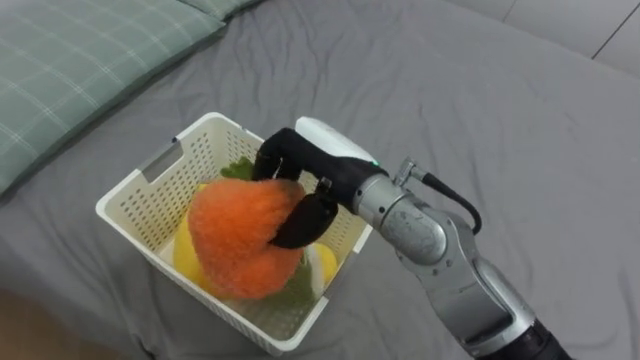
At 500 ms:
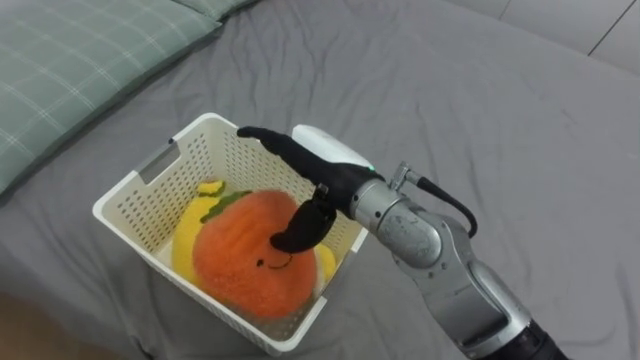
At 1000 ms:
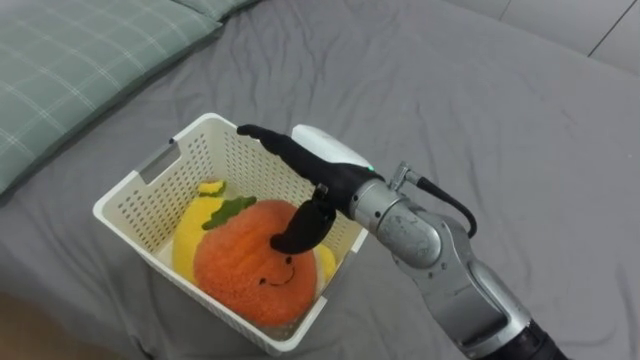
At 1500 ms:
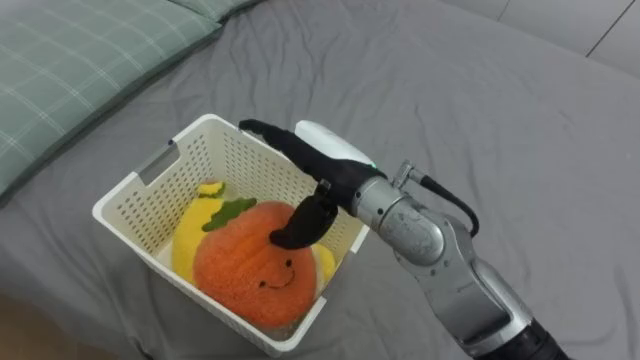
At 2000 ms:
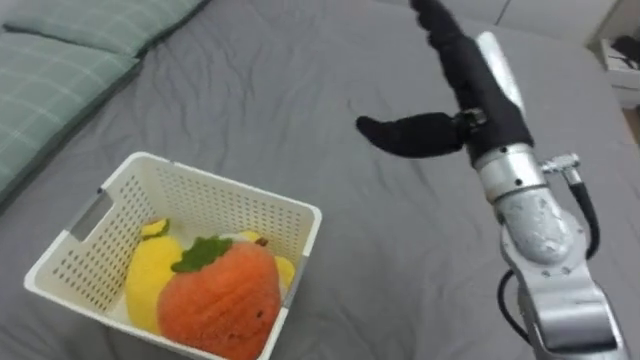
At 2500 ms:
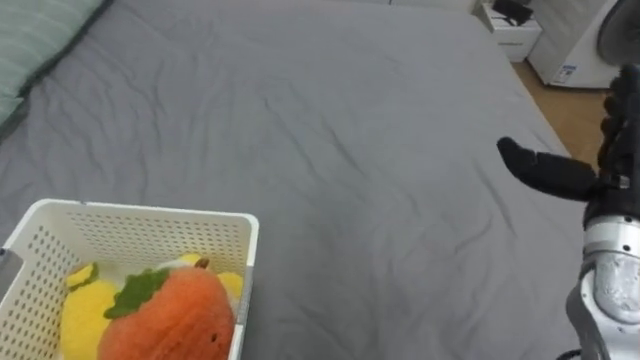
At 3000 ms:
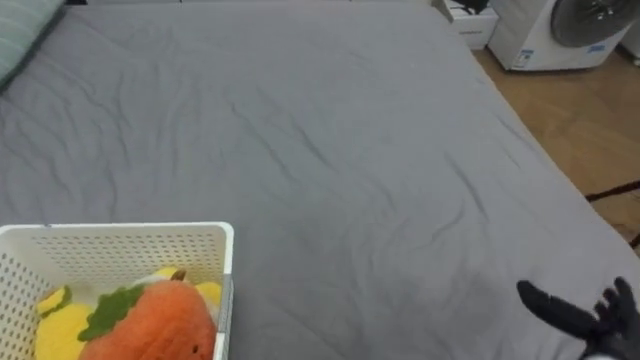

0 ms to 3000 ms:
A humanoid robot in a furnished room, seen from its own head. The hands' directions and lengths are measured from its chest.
Task of the whole recording: Put the toys on the bed into the basket on the left.
0 ms to 1500 ms: The right hand opens its fingers.
1500 ms to 3000 ms: The right hand goes approximately 40 cm to the right, downward and backward.

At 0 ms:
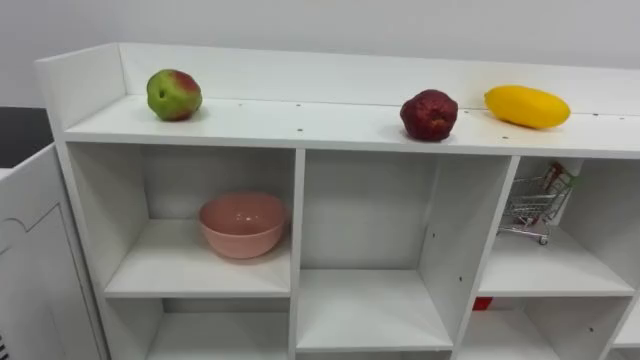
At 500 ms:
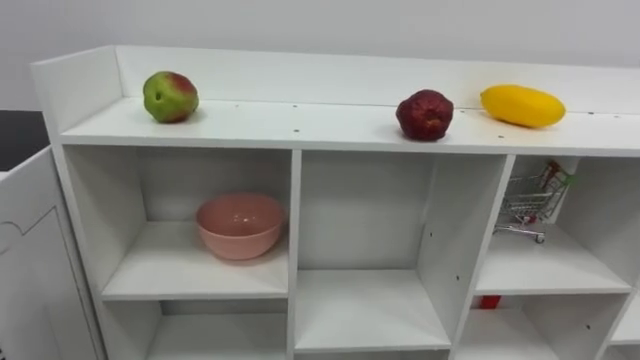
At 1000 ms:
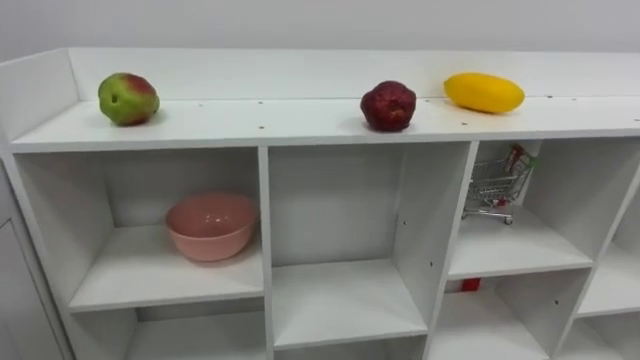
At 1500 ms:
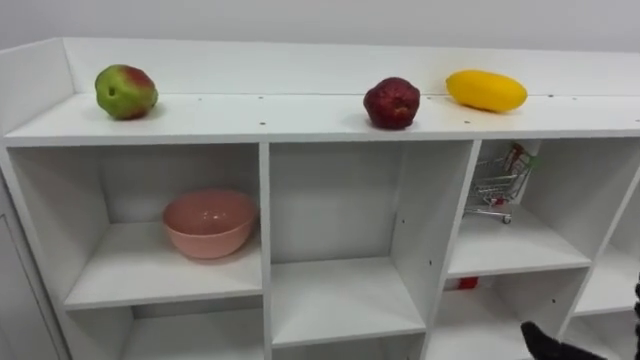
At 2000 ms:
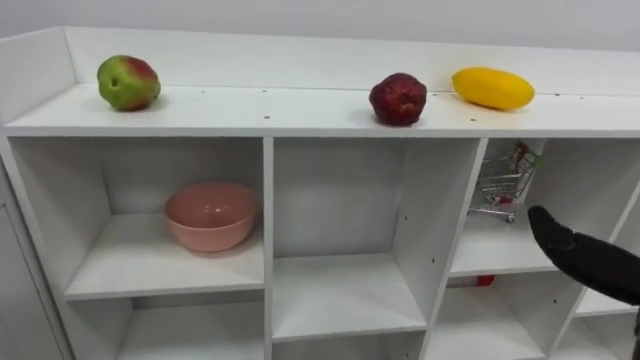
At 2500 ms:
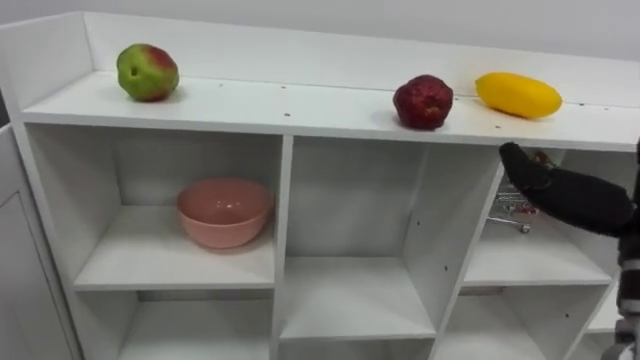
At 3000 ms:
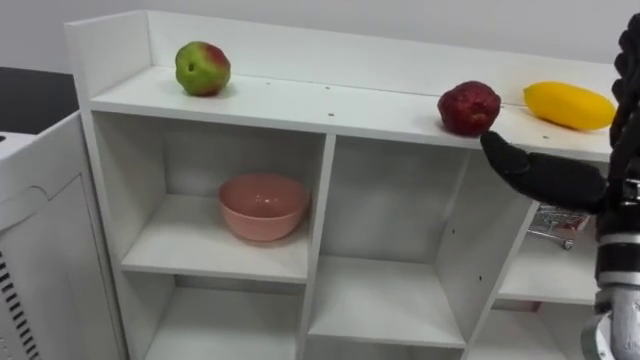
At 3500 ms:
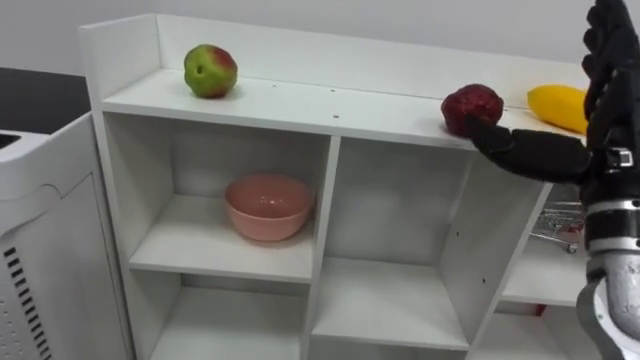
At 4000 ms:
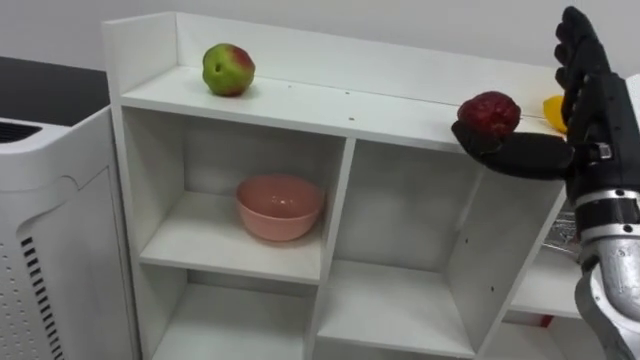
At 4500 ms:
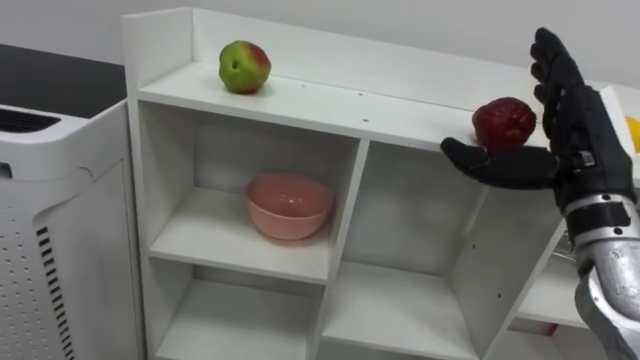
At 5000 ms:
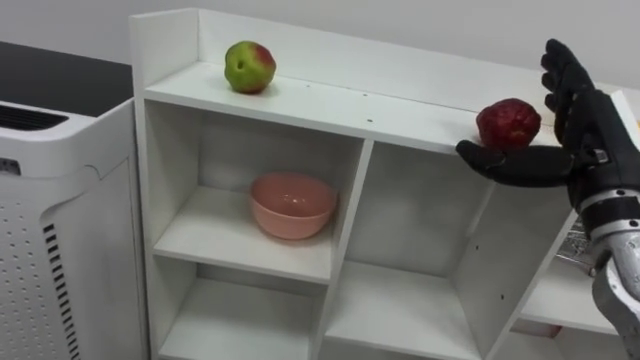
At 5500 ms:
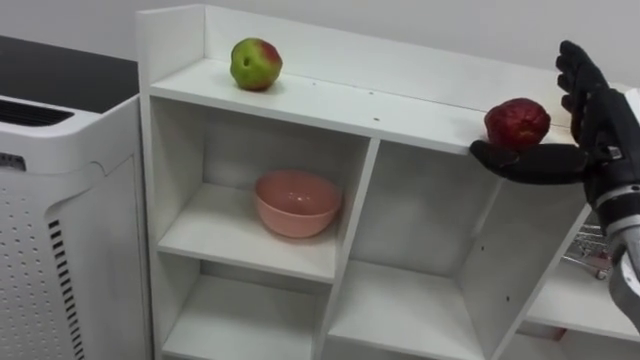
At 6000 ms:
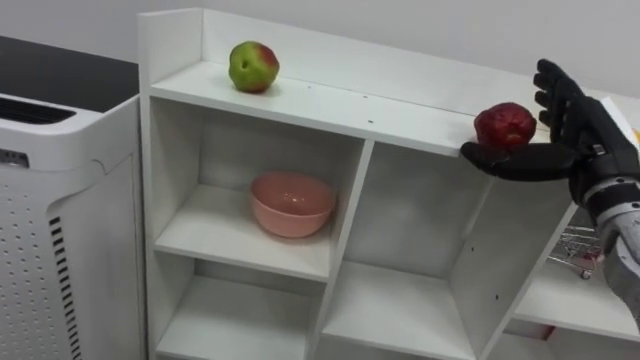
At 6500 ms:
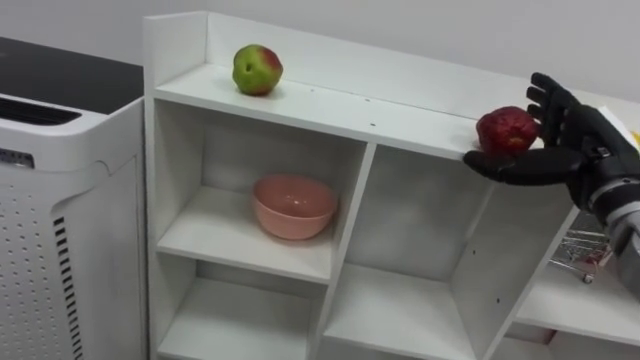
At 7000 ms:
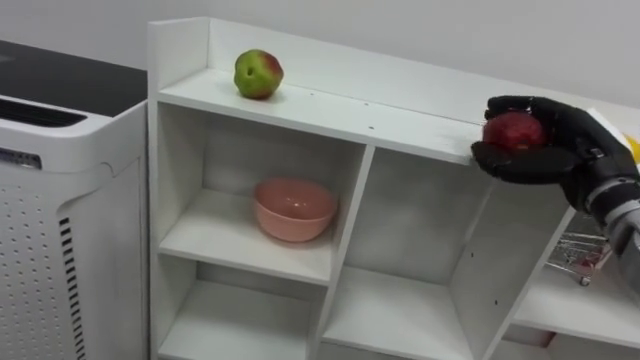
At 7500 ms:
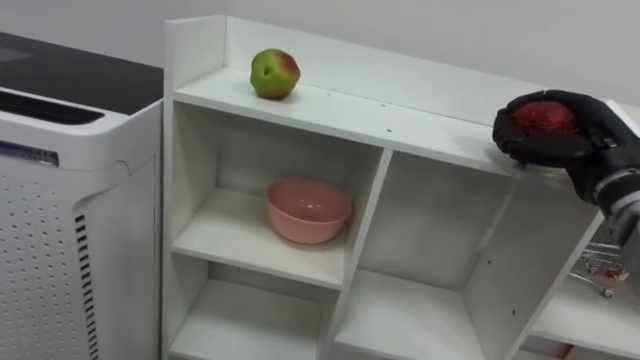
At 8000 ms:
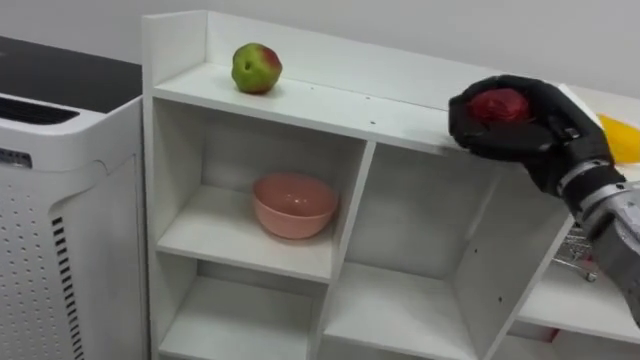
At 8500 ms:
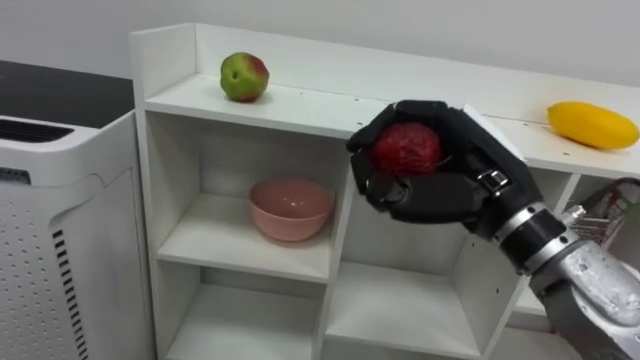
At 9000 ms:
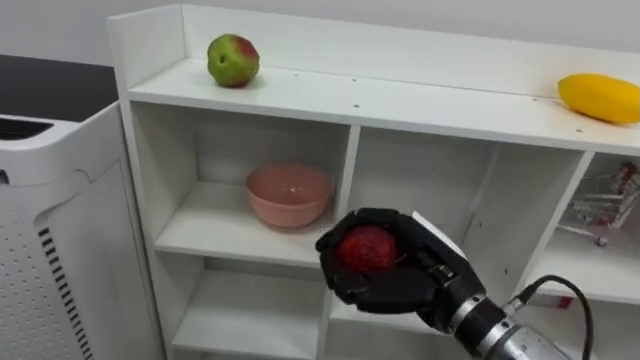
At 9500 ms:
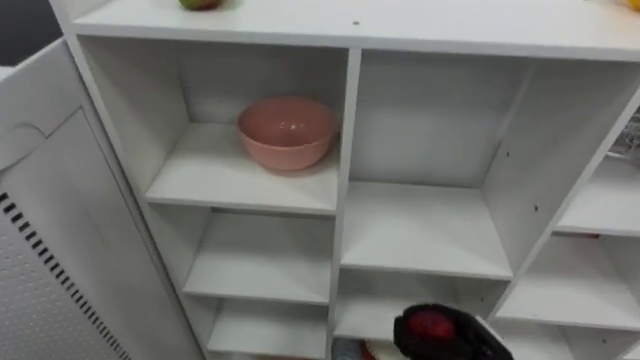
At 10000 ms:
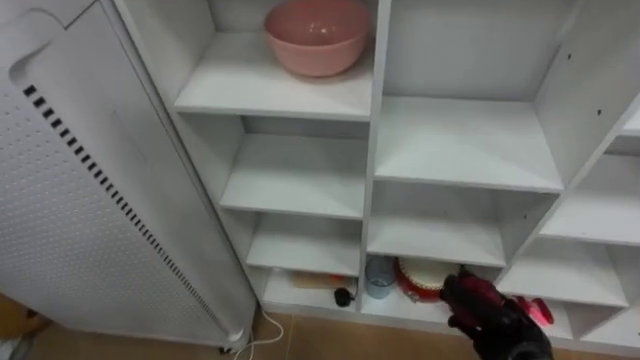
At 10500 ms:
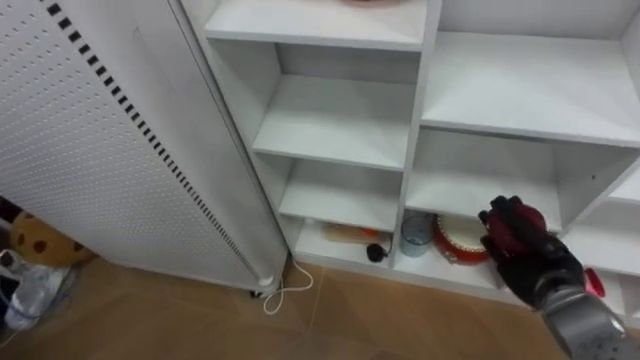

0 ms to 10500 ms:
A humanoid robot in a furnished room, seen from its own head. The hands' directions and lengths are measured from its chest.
Task of the whole recording: Put the apple in the cell in the second column from the left and the second row from the top.
4000 ms to 6500 ms: The right hand moves forward, approximately 5 cm.
6500 ms to 8500 ms: The right hand moves to the left and backward, some 15 cm, and closes its fingers.

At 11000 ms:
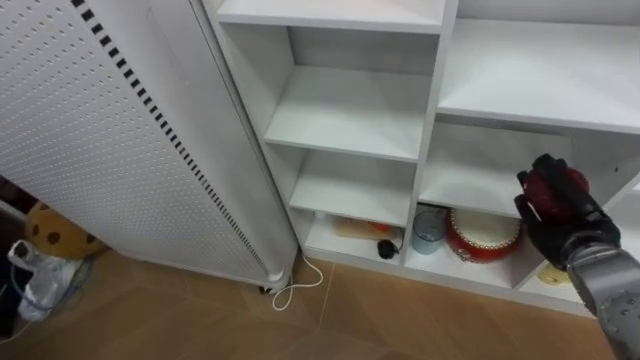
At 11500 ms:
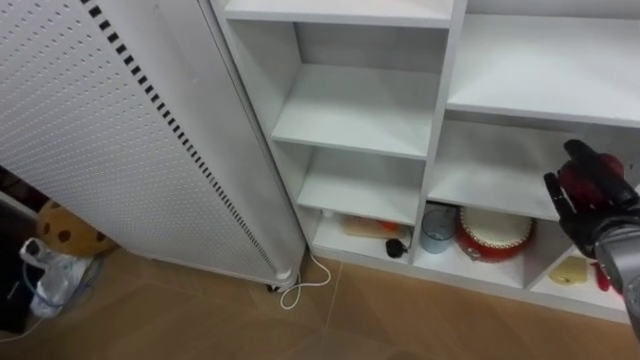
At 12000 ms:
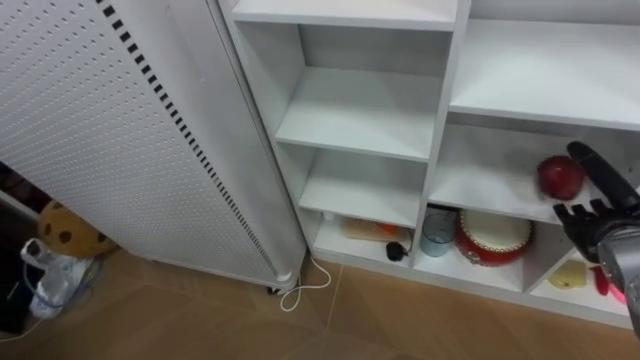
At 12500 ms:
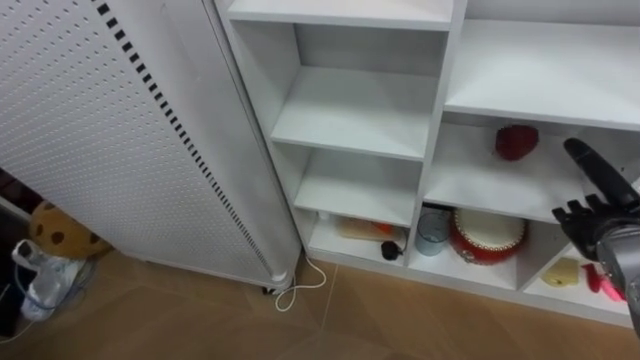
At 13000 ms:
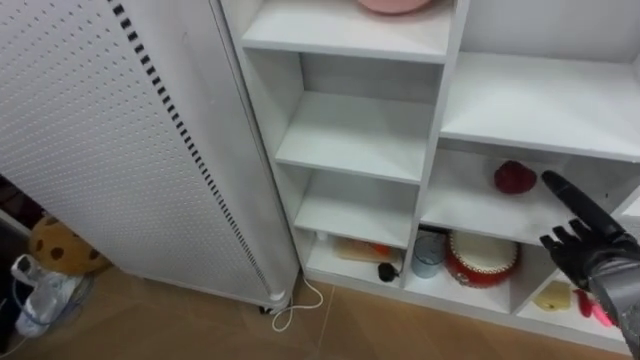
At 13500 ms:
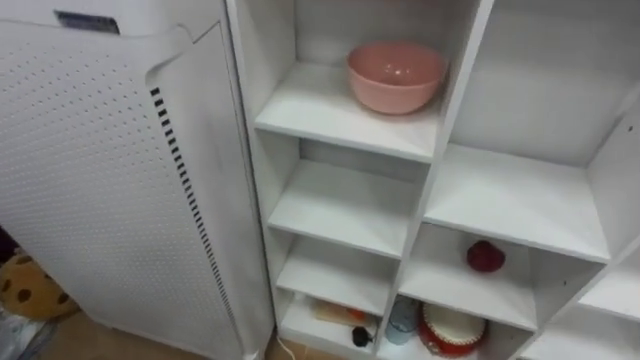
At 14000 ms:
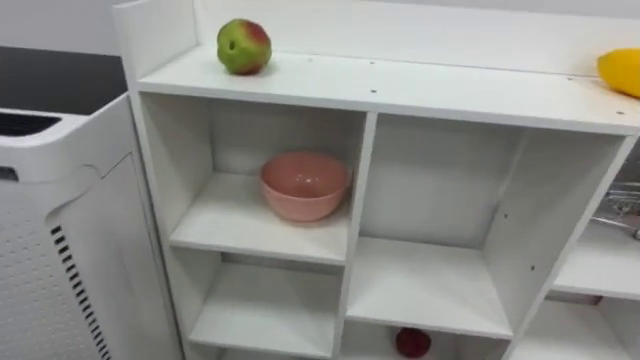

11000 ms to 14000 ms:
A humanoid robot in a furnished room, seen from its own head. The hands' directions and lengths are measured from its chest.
Task of the whole recording: Put the apple in the cell in the second column from the left and the second row from the top.
11000 ms to 12500 ms: The right hand opens.

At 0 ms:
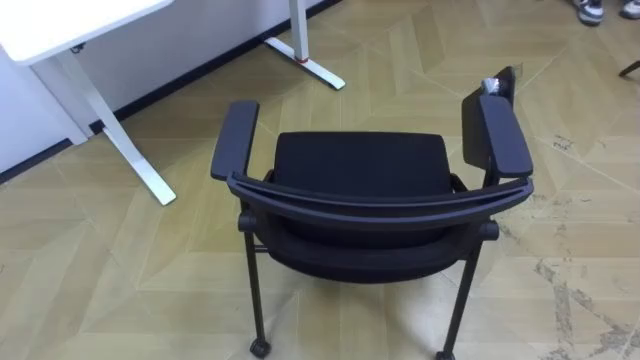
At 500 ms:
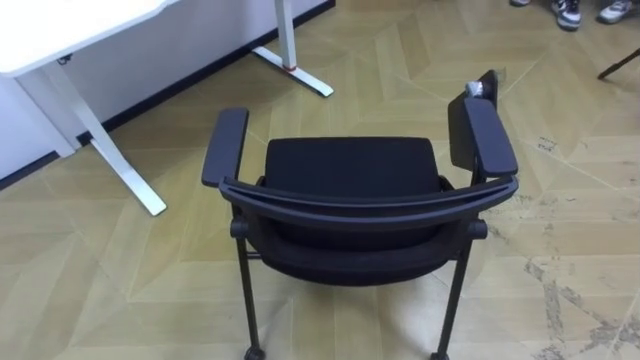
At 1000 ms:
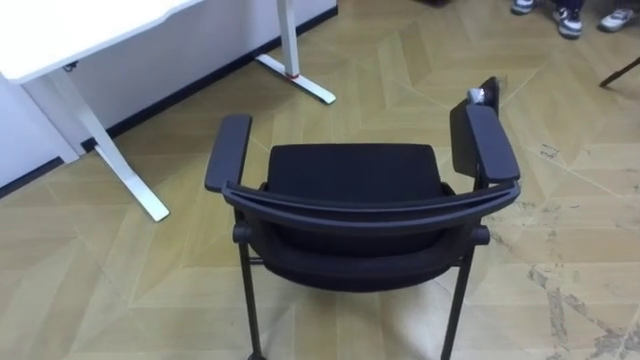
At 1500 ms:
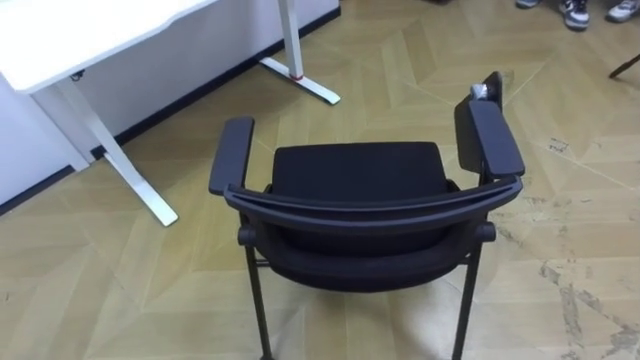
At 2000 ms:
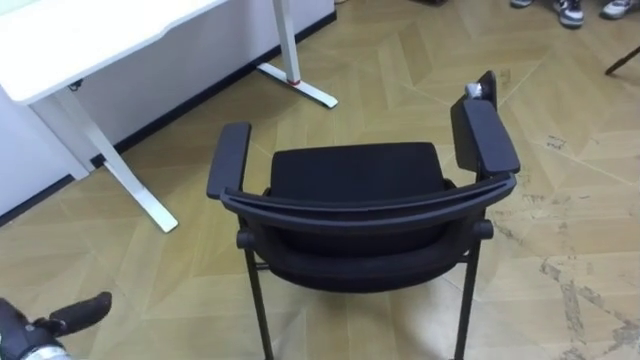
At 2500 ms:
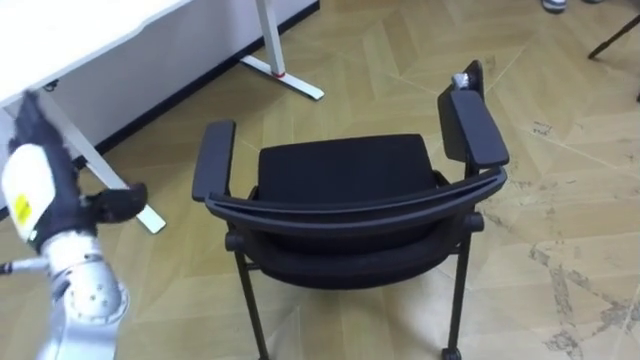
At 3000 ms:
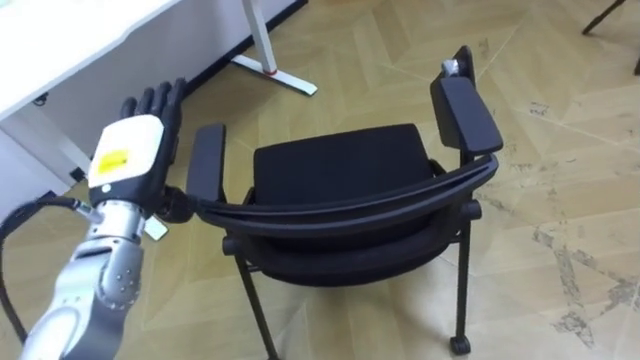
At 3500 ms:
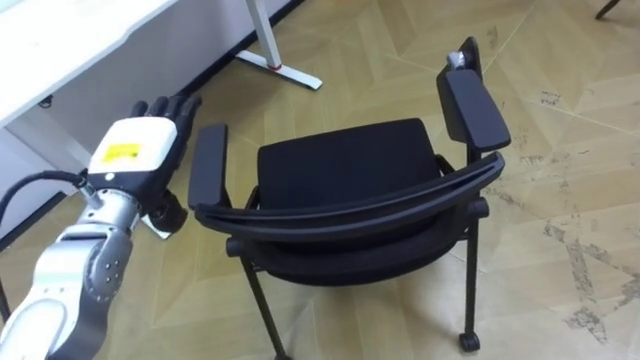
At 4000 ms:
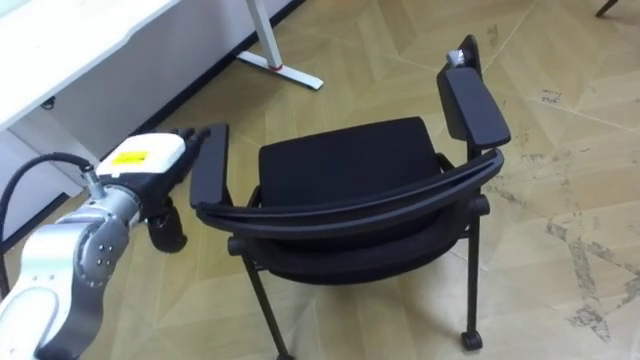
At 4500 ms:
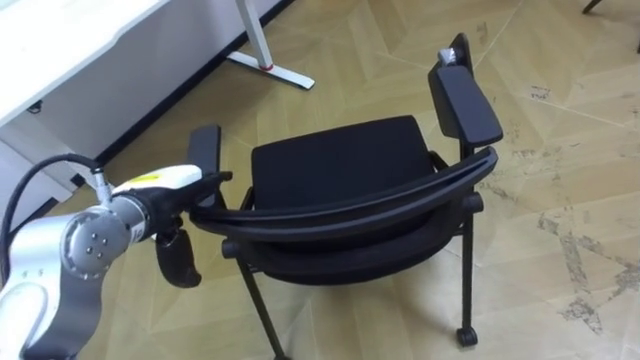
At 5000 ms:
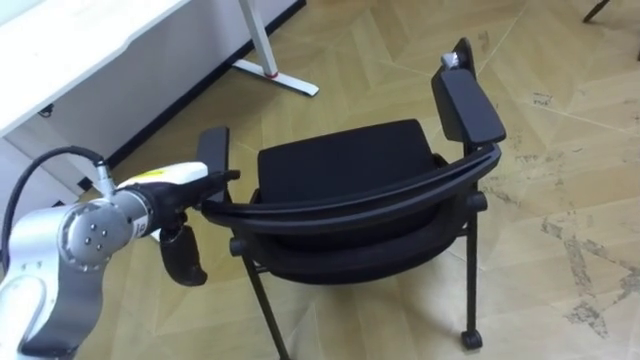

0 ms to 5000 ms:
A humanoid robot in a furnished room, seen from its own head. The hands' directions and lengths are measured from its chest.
Task of the whole recording: Push the chair under the table.
2500 ms to 5000 ms: The left hand is displaced to the right by roughly 10 cm.
